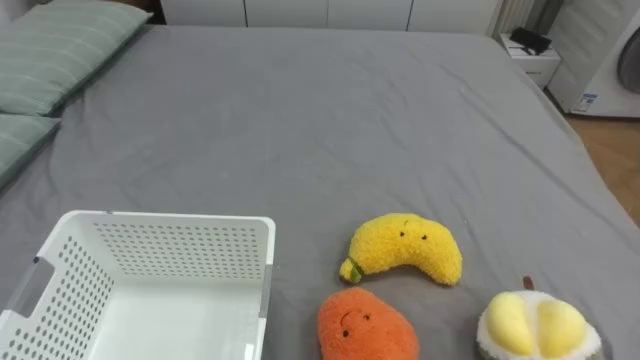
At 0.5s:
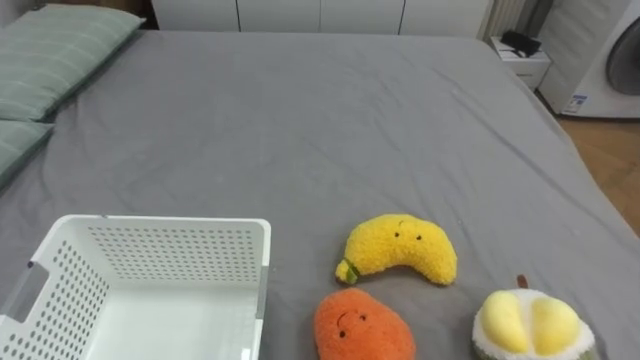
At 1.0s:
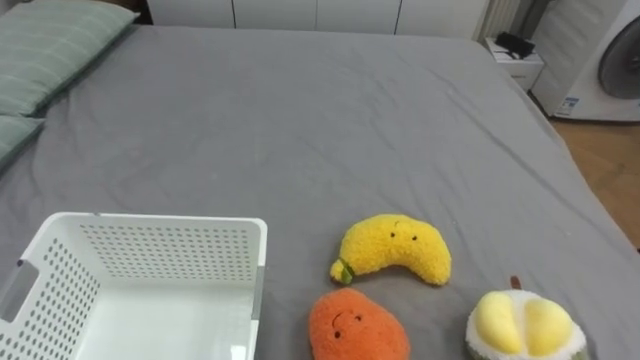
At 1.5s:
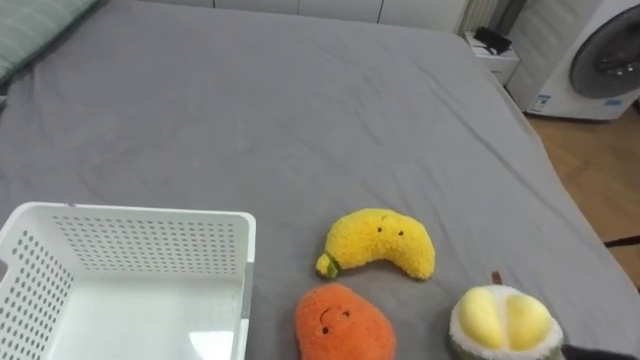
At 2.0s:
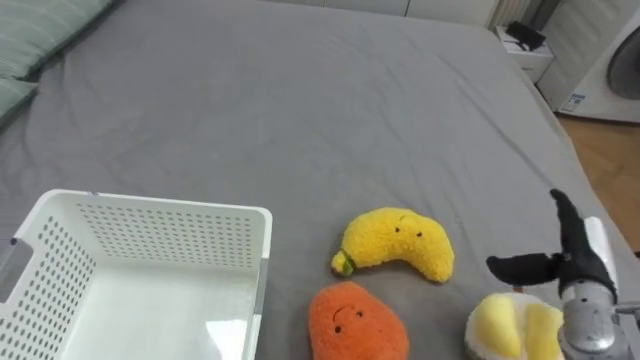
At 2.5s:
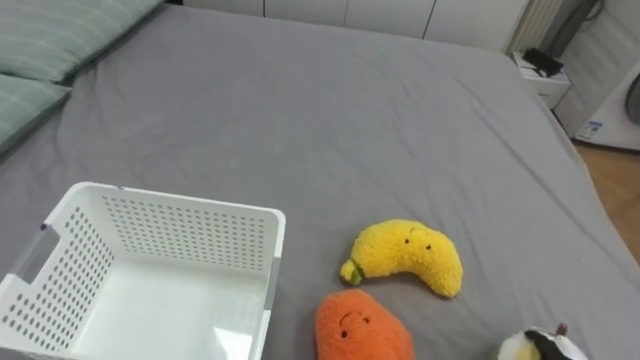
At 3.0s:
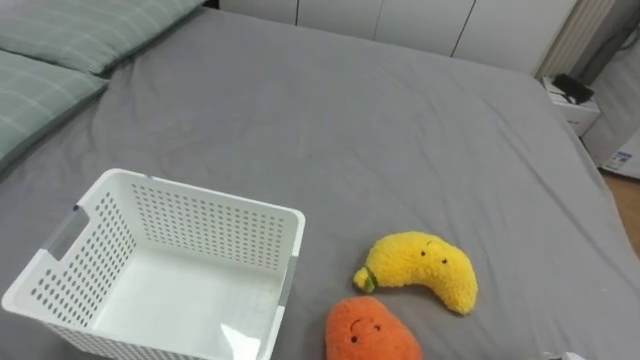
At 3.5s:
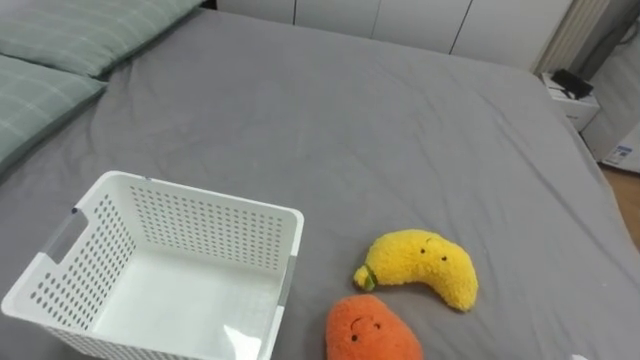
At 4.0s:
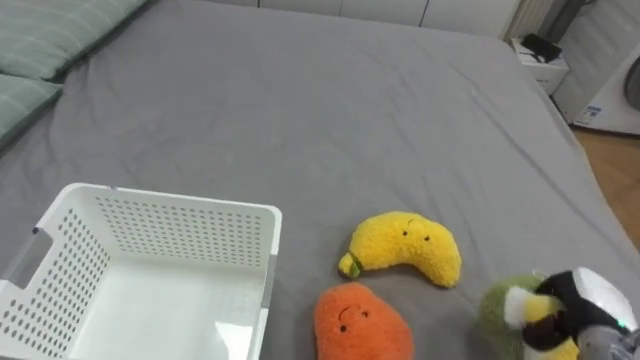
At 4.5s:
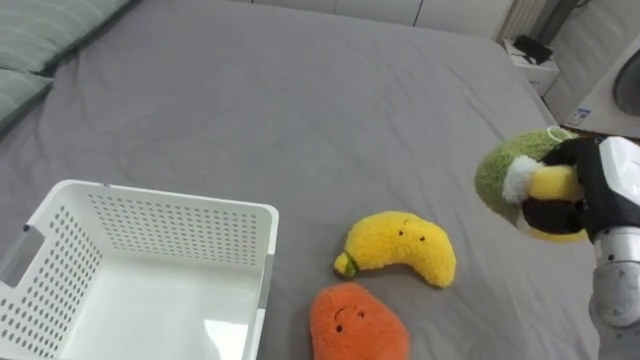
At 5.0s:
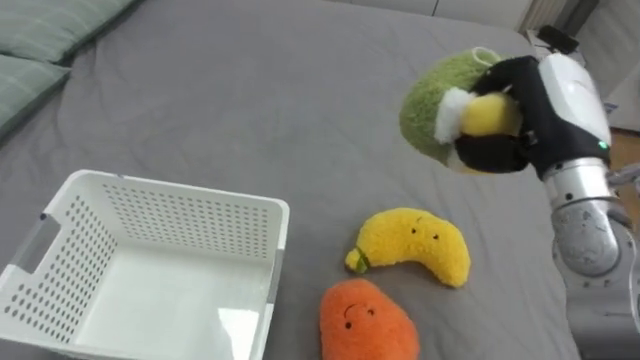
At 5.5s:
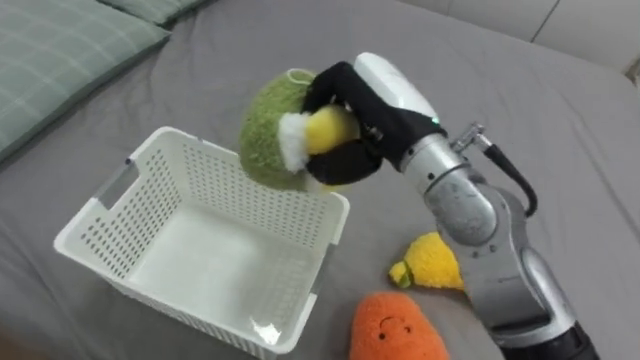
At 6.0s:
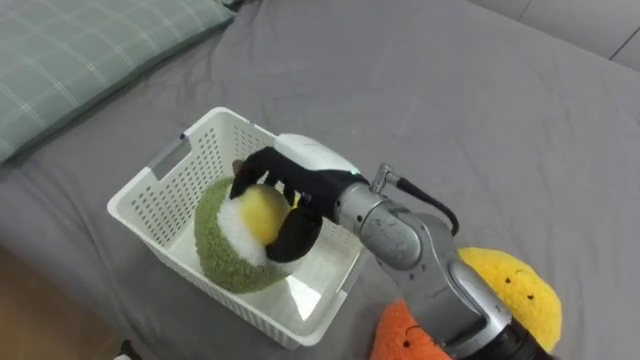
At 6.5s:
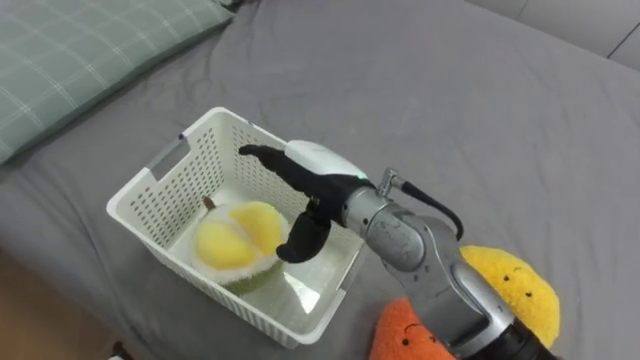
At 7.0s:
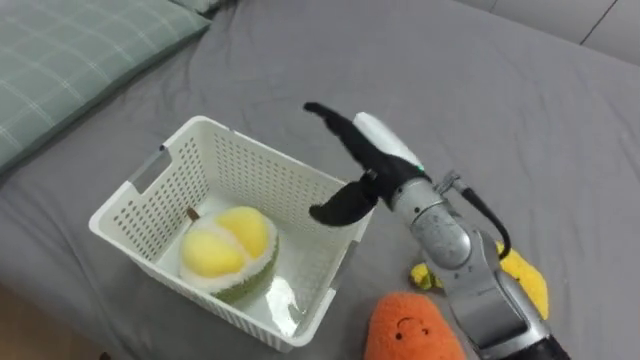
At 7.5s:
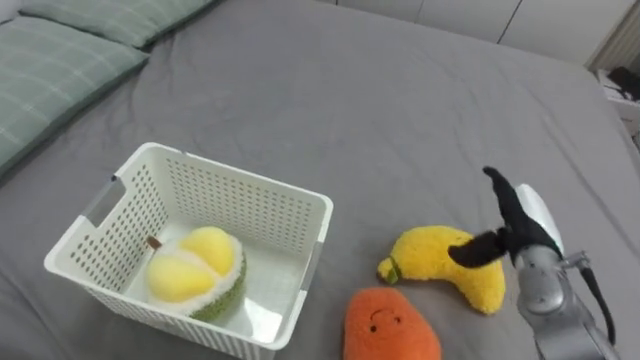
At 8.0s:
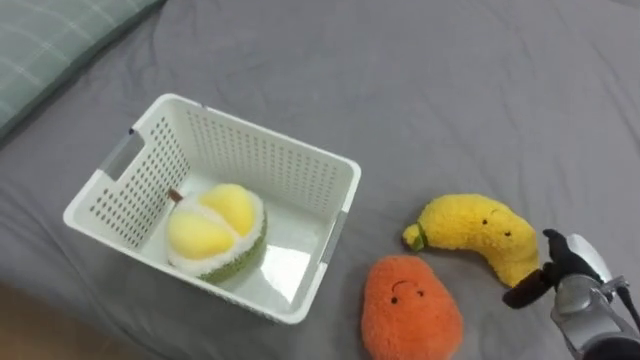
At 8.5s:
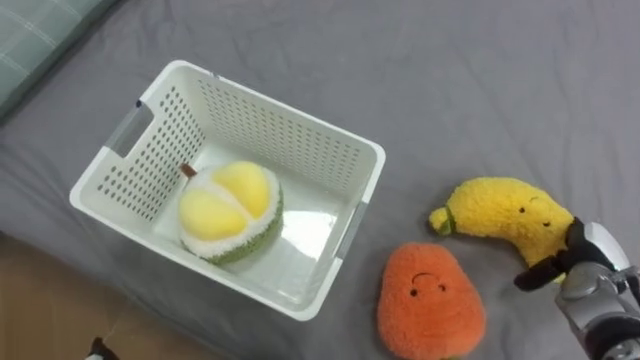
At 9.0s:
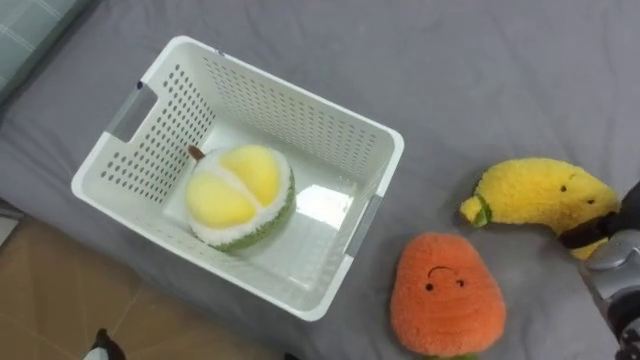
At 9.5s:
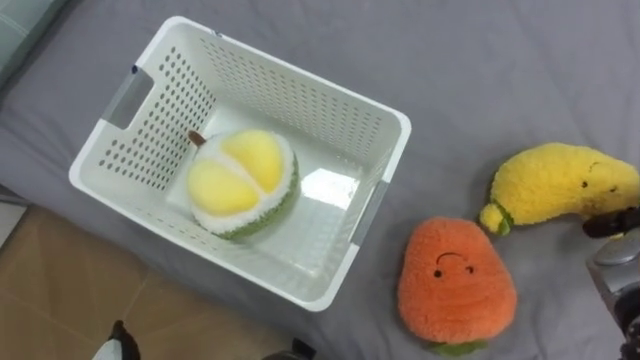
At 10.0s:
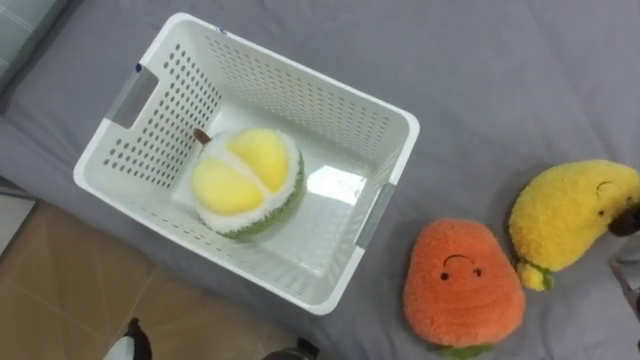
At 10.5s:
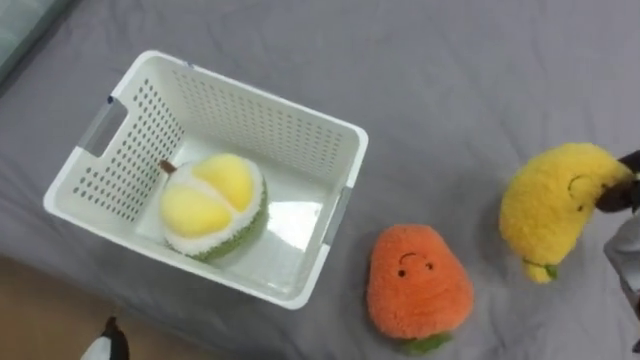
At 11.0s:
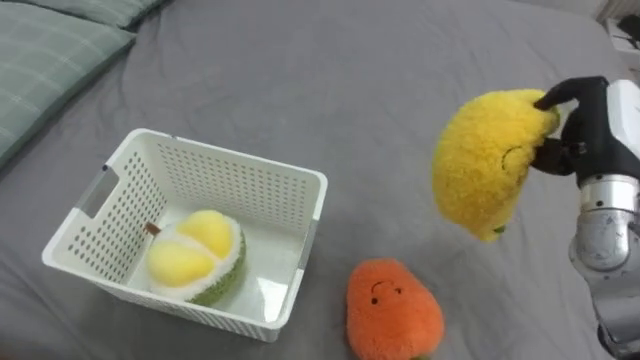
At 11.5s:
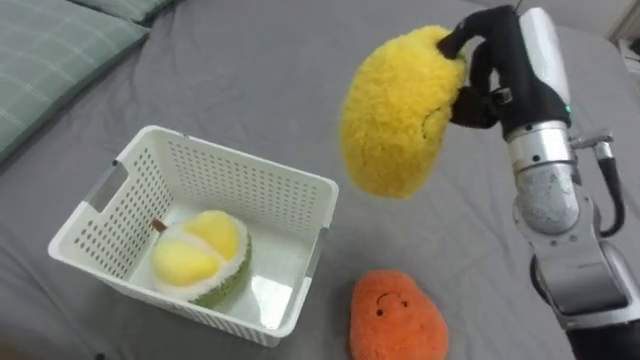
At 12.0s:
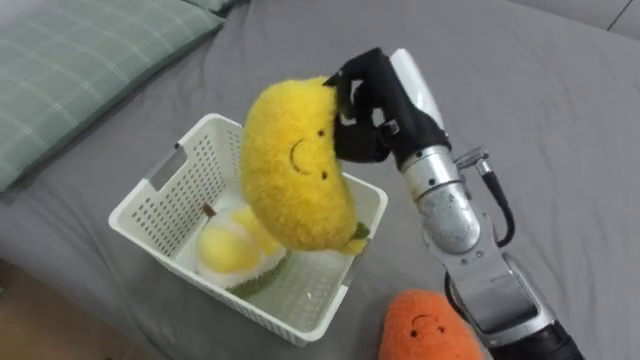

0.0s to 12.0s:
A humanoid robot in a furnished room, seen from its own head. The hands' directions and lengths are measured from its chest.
Task of the whole recording: Put the toys on the bed into the basket on the left.
4.0s to 6.0s: The right hand heads to the left and upward, covering about 40 cm.
6.0s to 8.0s: The right hand goes about 40 cm to the right and downward, and opens.

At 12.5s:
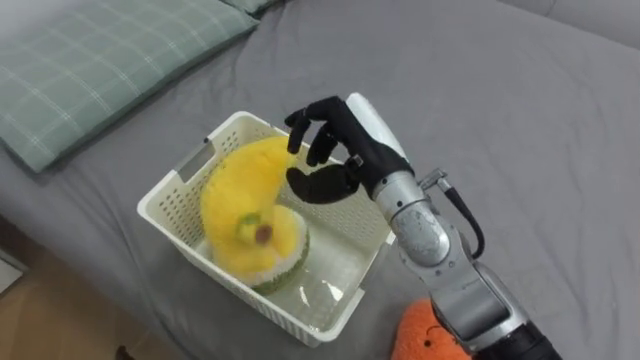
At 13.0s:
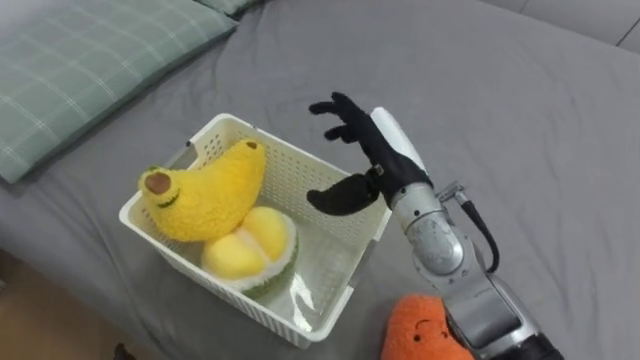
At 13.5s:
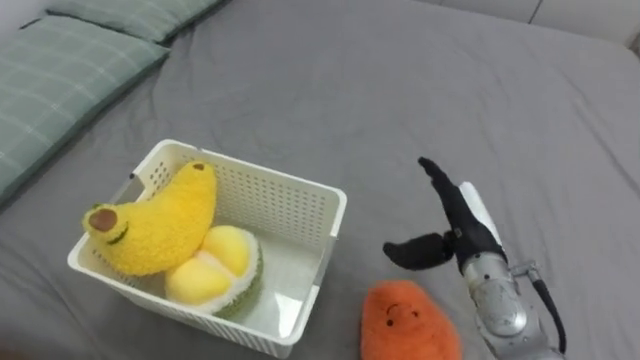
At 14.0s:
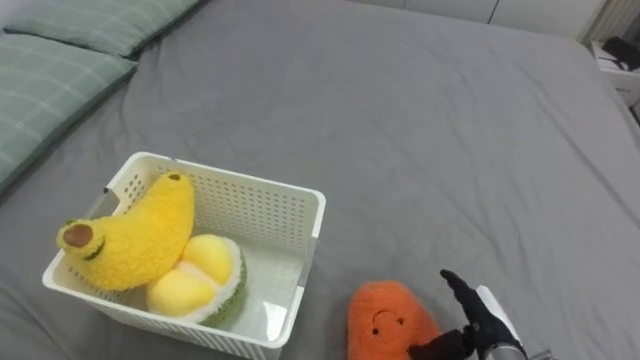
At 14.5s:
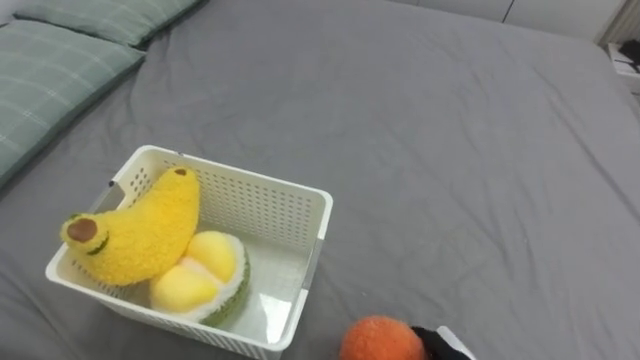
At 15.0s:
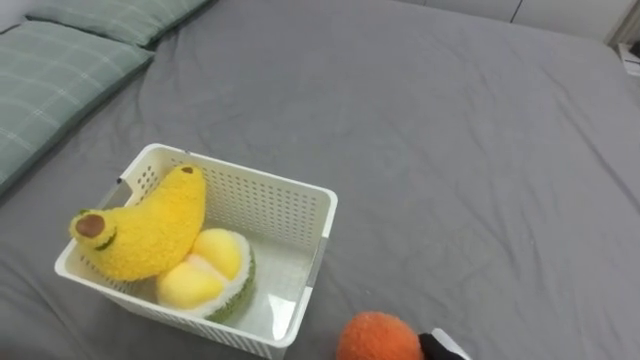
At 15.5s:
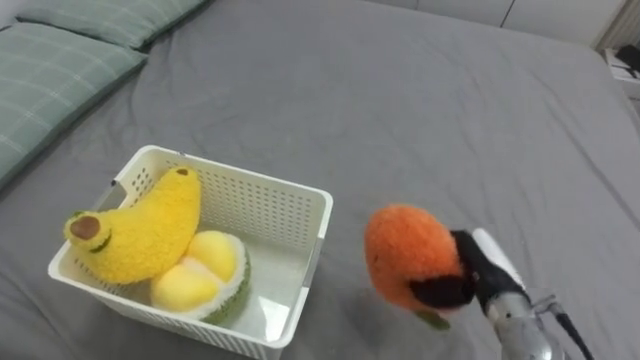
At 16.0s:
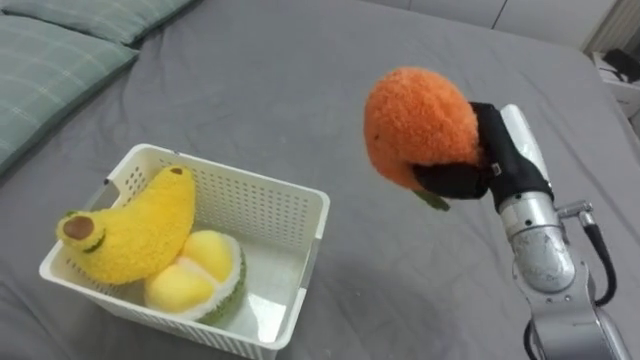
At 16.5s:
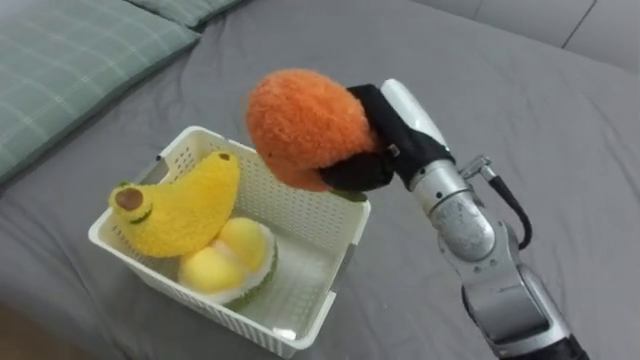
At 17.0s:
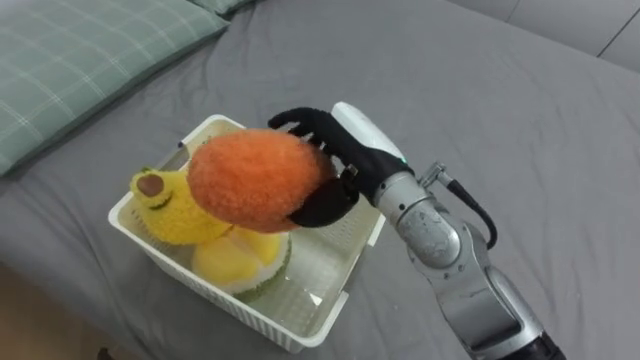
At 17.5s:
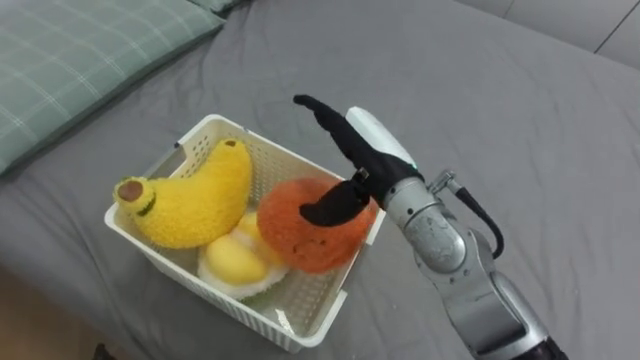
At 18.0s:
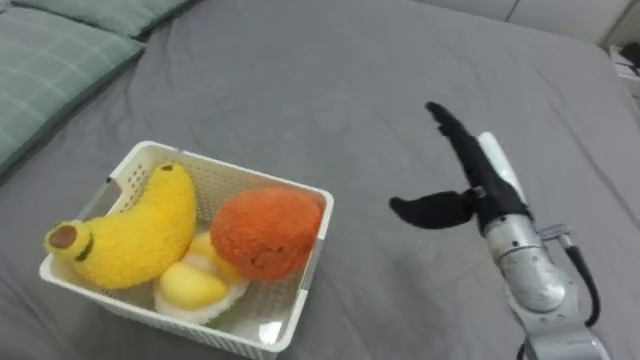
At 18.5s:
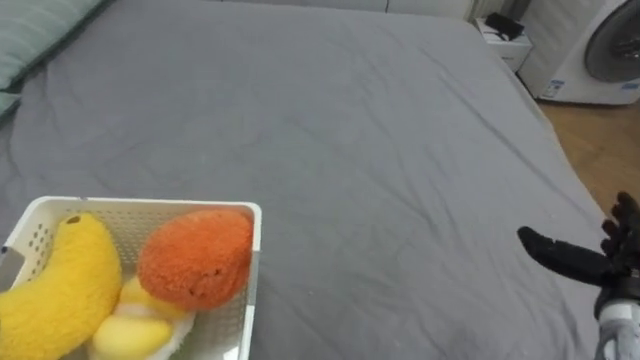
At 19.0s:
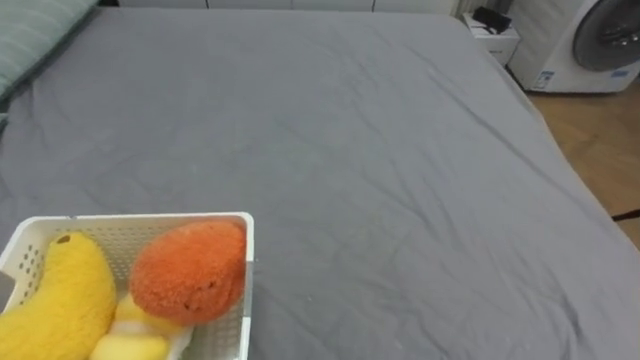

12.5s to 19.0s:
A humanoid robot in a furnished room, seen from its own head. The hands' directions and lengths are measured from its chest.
Task of the whole recording: Put the toys on the bed into the basket on the left.
12.5s to 14.5s: The right hand travels downward, backward and to the right by approximately 35 cm, and opens up.

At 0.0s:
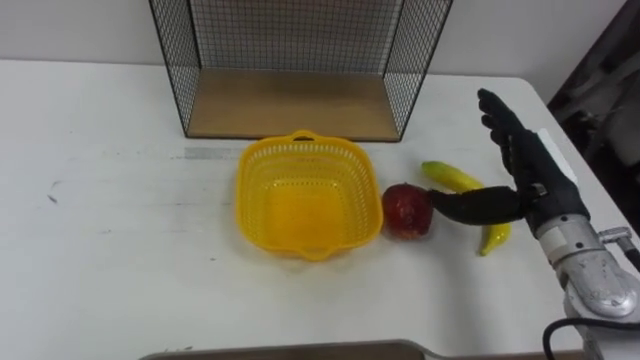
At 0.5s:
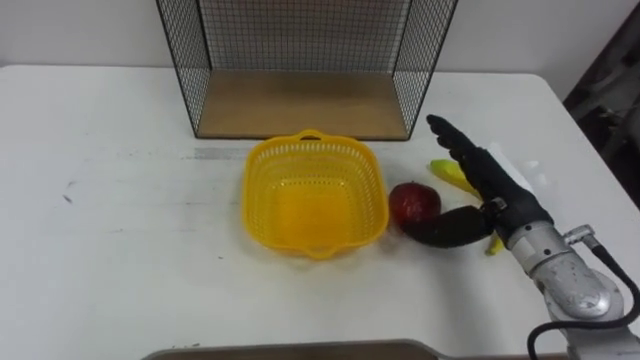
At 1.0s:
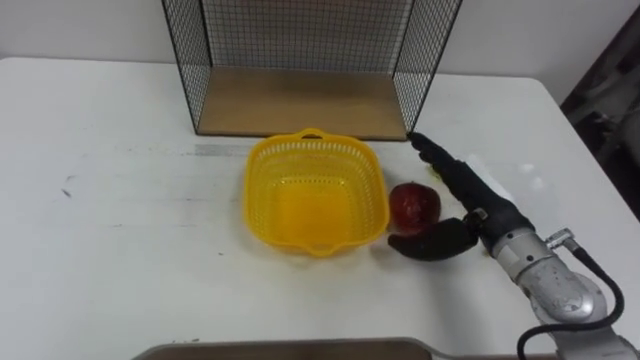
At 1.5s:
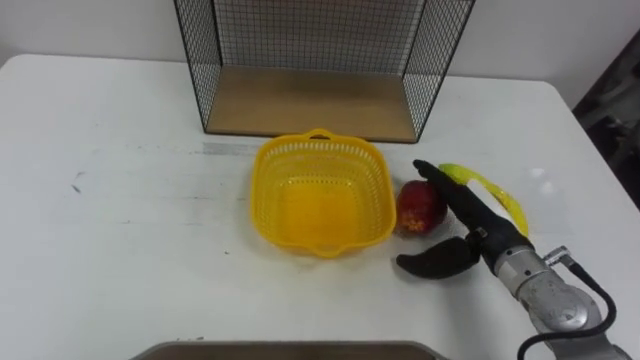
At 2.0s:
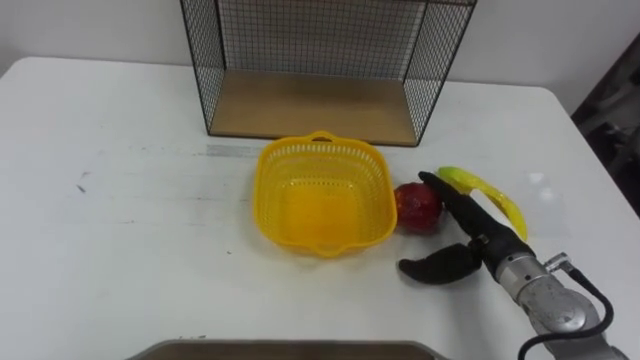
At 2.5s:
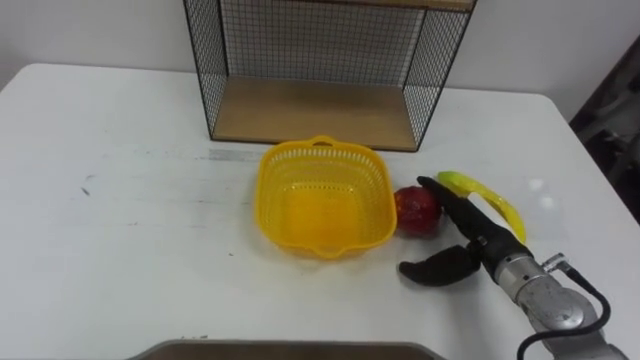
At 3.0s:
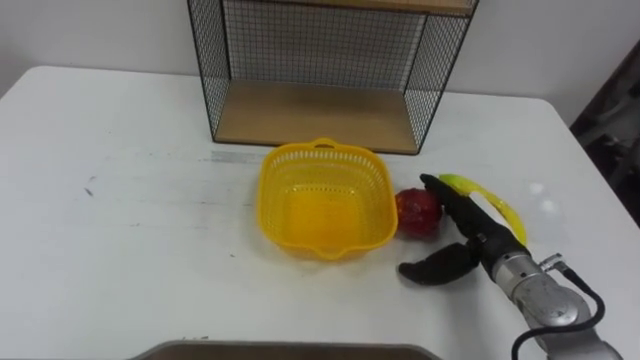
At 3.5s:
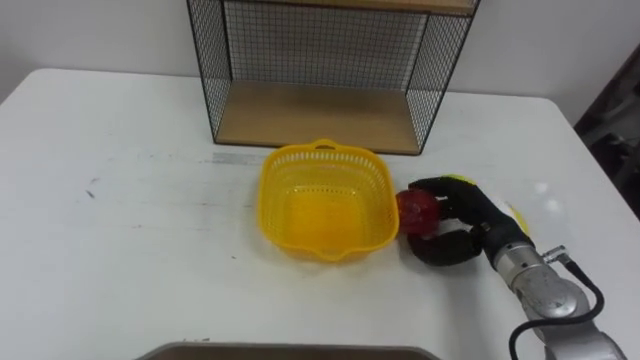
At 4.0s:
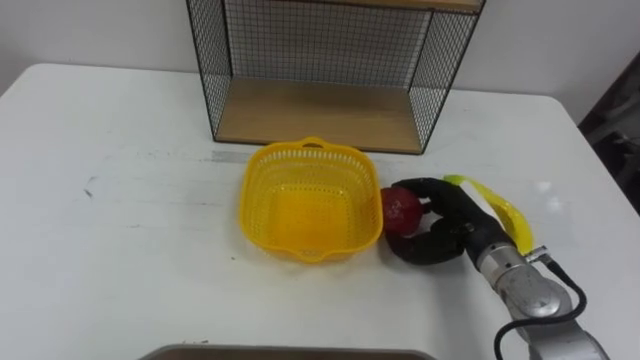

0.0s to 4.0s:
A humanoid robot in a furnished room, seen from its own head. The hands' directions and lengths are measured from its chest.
Task of the whole recording: Put the fruit on the table into the basket, then place the basket on the shelf.
0.0s to 2.0s: The right hand heads downward, covering roughly 10 cm.
2.0s to 4.0s: The right hand closes its fingers.
